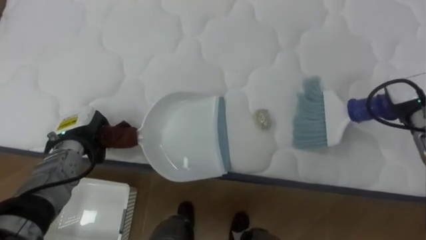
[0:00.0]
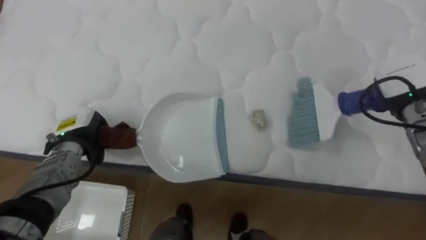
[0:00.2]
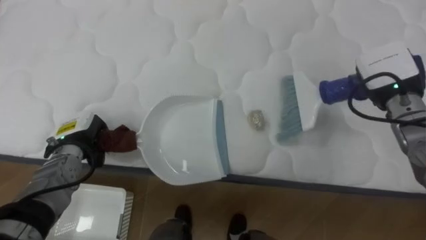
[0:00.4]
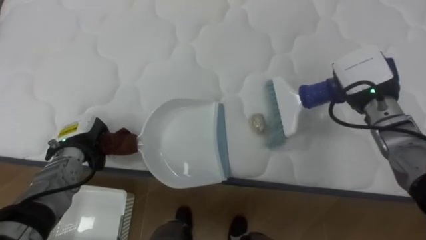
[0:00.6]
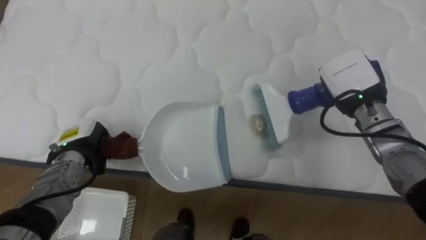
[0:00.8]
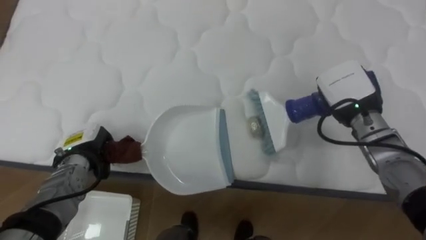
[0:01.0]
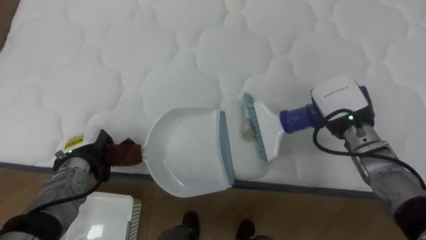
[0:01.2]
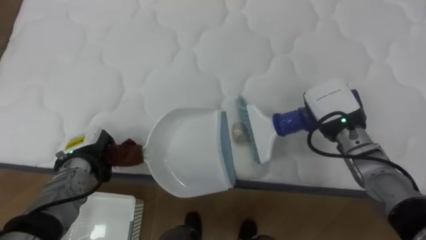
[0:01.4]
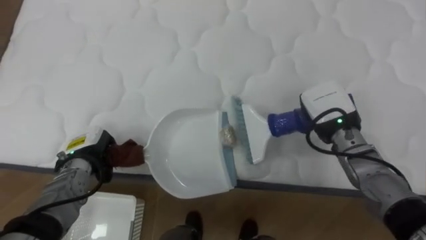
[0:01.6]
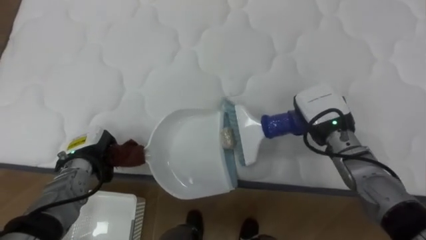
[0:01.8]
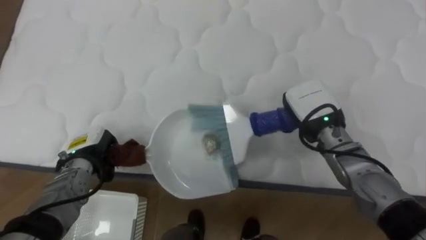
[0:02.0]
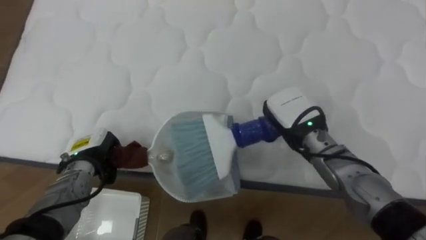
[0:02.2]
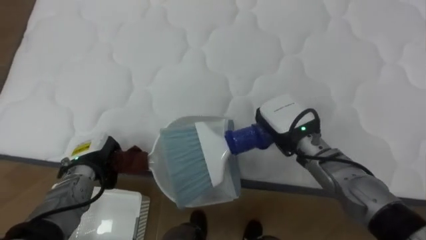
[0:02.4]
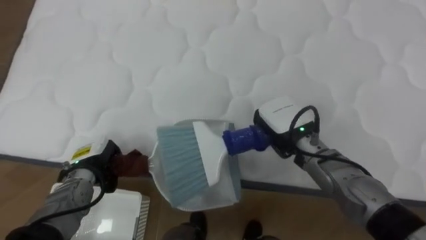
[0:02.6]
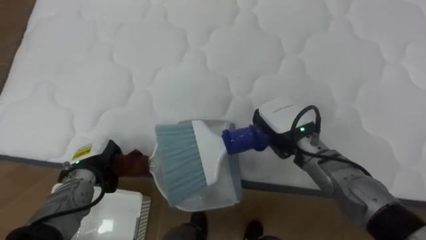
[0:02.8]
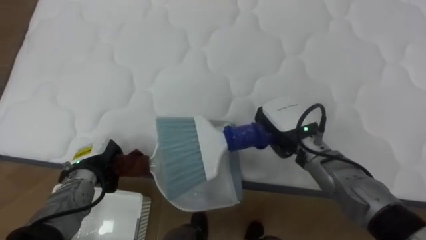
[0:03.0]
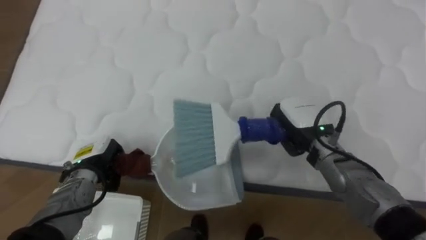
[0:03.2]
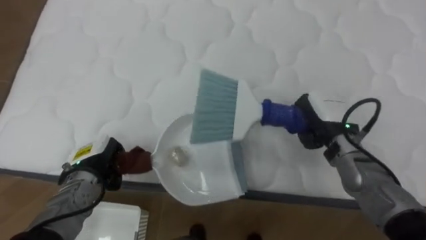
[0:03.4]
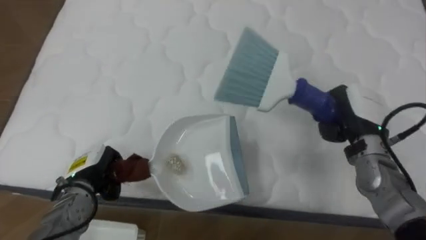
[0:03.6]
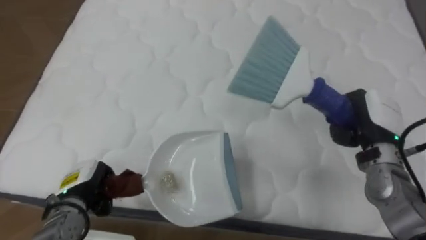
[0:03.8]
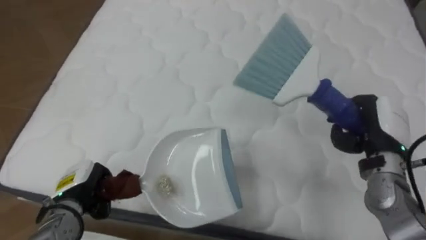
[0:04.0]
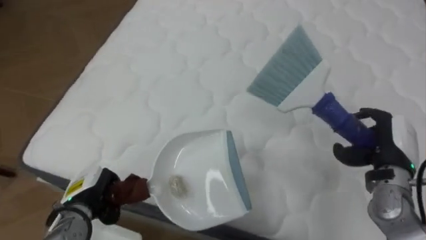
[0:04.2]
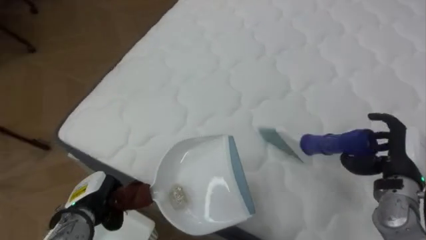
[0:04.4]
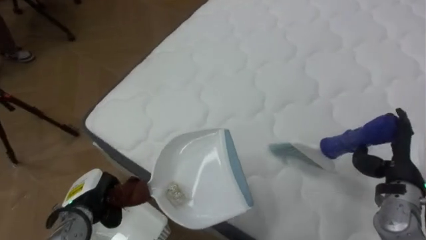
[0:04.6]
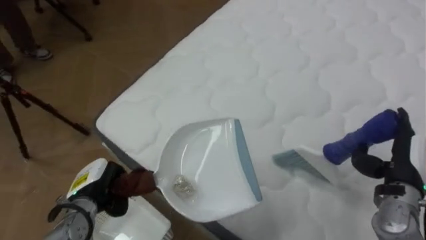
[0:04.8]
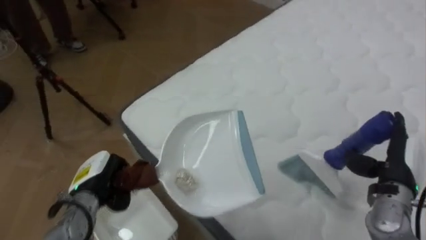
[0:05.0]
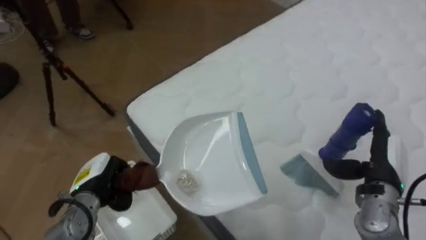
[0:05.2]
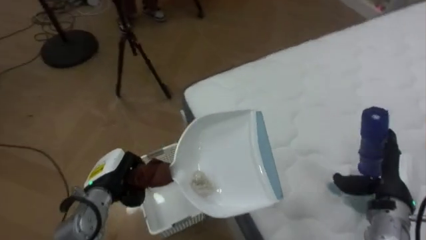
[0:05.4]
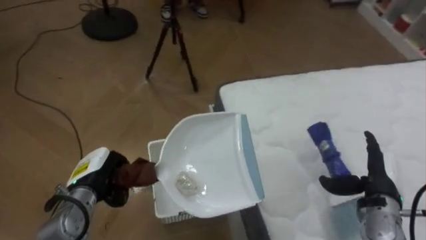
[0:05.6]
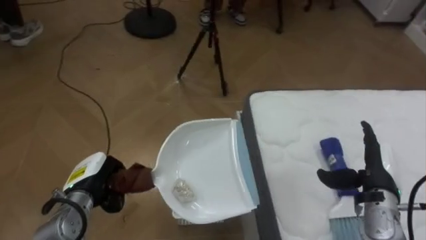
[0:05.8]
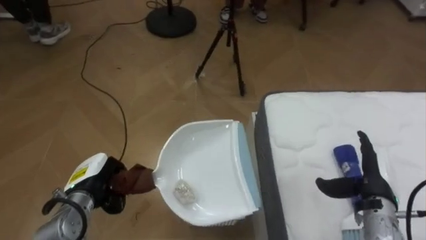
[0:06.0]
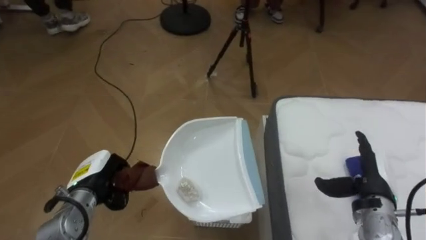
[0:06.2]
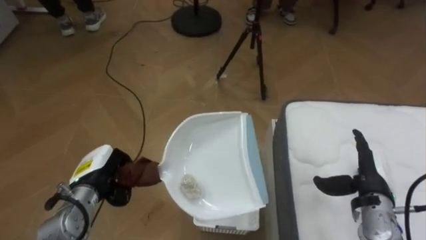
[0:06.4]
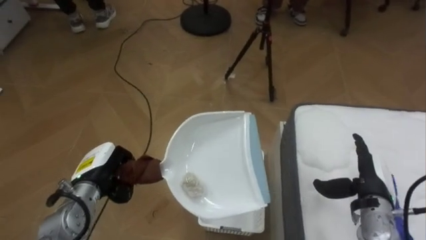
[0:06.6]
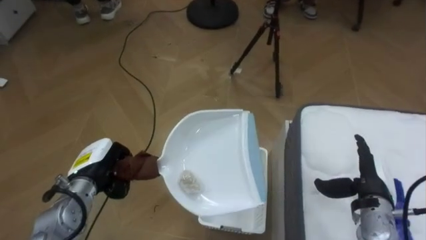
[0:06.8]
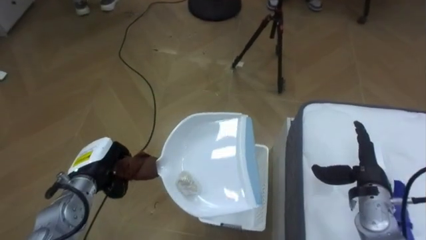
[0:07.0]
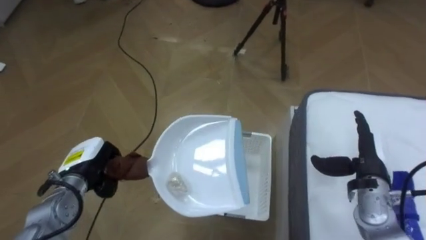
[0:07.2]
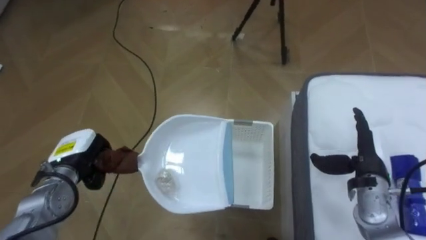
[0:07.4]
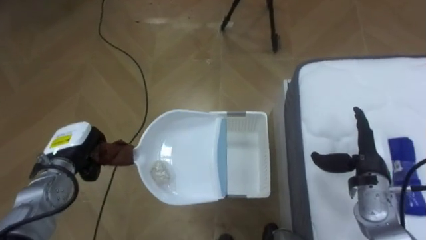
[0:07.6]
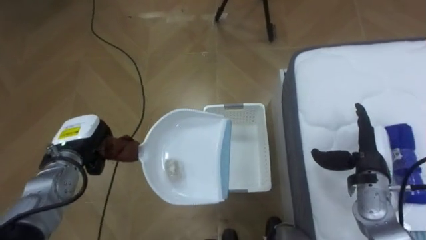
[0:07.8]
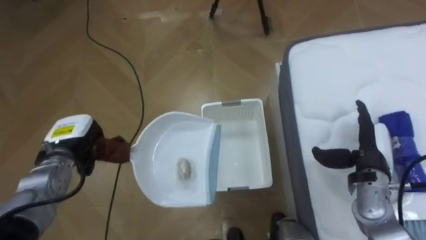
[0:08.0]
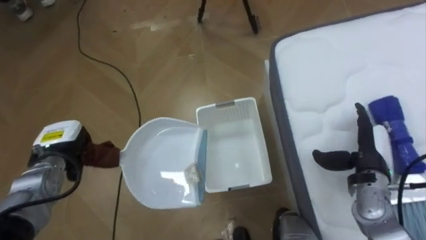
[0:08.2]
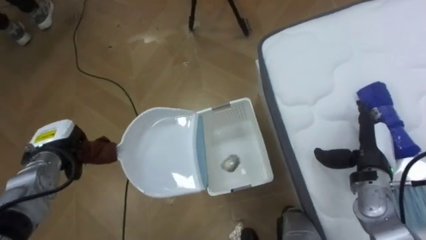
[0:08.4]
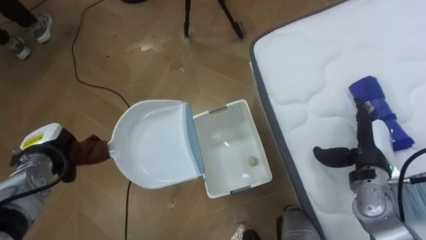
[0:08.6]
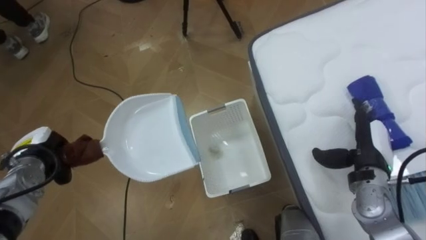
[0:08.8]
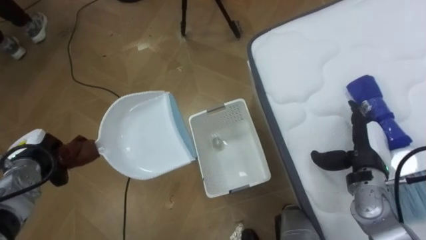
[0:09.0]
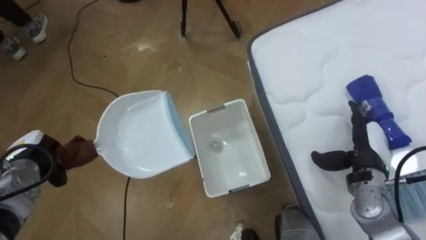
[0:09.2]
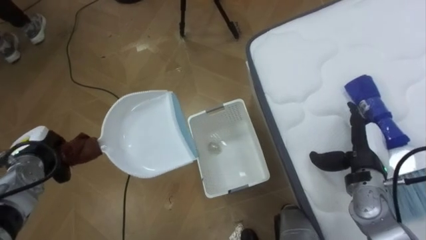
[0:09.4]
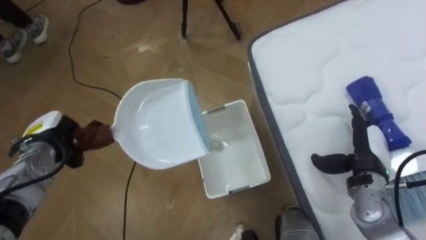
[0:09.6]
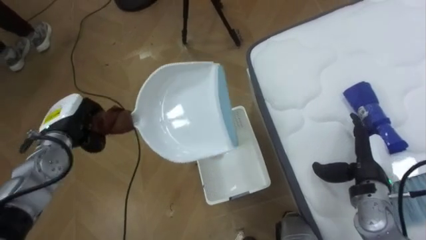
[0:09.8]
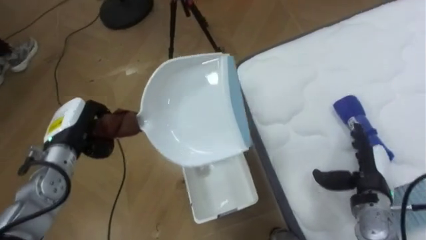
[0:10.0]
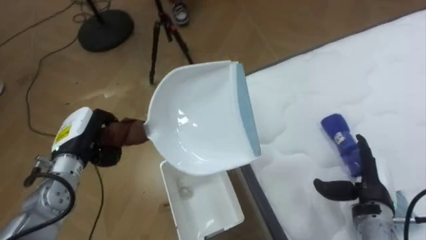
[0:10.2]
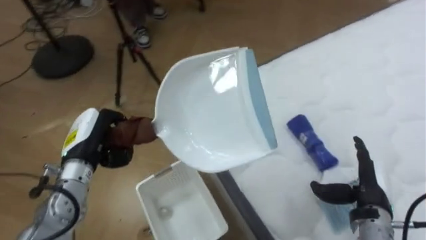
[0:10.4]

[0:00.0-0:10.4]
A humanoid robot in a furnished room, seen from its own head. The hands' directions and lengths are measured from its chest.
Task of the whole recording: Pick up the brush on your right and the dustpan on your left. Use the brush to sweep the crumpled paper on the bed into the dustpan, then turn left and empty it into the basket.
0:00.0 to 0:01.4: The right hand shifts some 15 cm to the left.
0:01.4 to 0:03.0: The right hand moves to the left, roughly 10 cm.
0:03.0 to 0:04.4: The robot's body swings approximately 25 degrees to its left. The right hand goes about 20 cm to the right, and opens up. Meanwhile the left hand goes roughly 10 cm backward.
0:04.4 to 0:06.0: The robot rotates some 60 degrees to its left. The right hand changes place by about 5 cm.
0:06.0 to 0:07.4: The left hand changes place by roughly 5 cm.
0:07.4 to 0:09.0: The left hand heads to the left, covering about 10 cm.
0:09.0 to 0:10.4: The robot turns to its right by approximately 25 degrees. The right hand travels backward by some 5 cm, while the left hand moves to the right and upward, some 15 cm.

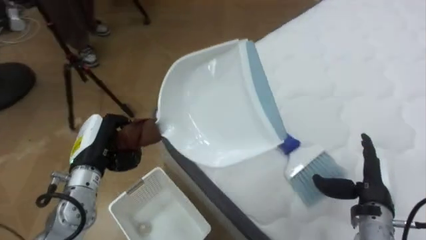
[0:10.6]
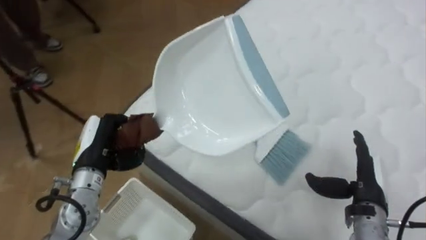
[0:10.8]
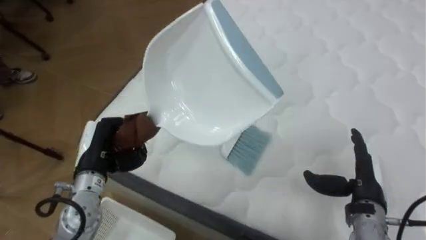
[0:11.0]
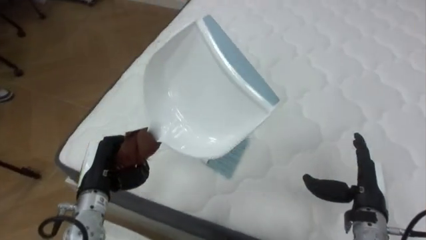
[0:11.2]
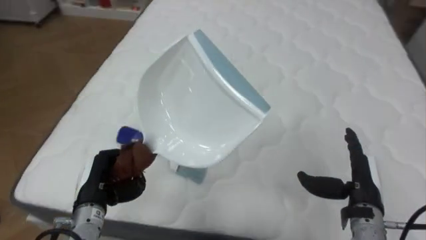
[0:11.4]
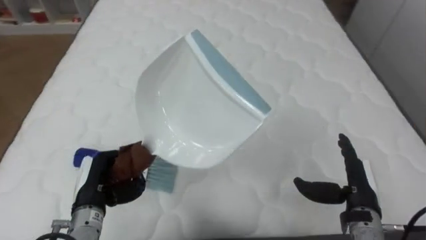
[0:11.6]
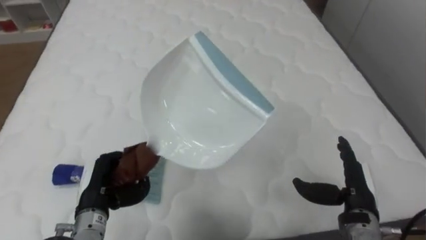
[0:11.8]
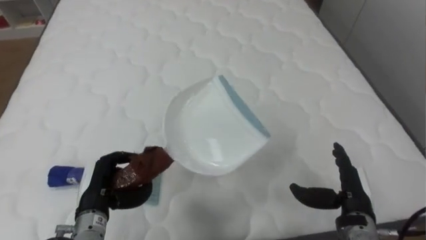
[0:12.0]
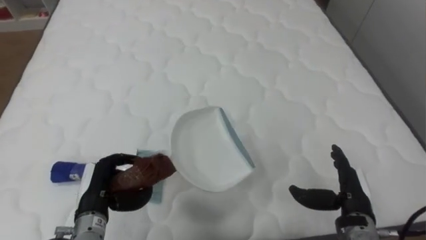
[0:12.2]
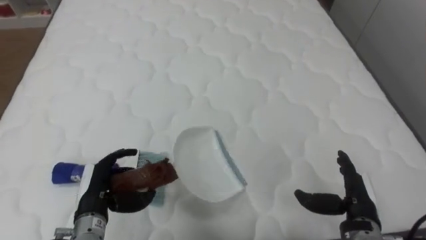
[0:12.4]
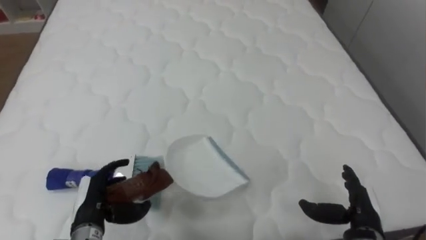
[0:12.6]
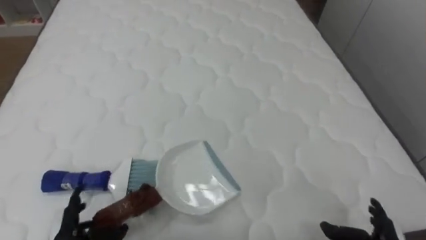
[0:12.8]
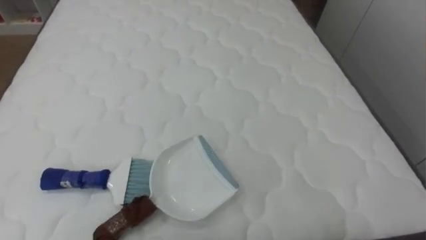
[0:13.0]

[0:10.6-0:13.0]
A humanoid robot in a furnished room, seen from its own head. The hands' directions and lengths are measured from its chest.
Task of the whole recording: Pick up the brush on your right and the dustpan on your left. Use the brush to sweep the crumpled paper on the bed into the dustpan, then turn left and empty it into the basket.
0:10.6 to 0:11.8: The robot turns to its right by about 55 degrees. The left hand goes approximately 10 cm backward and downward.

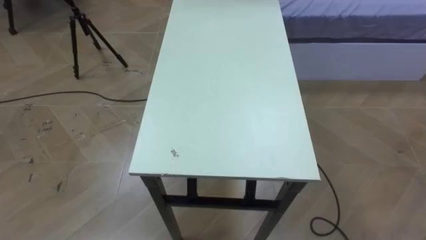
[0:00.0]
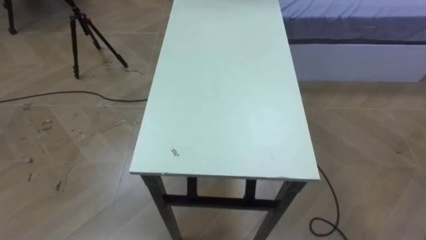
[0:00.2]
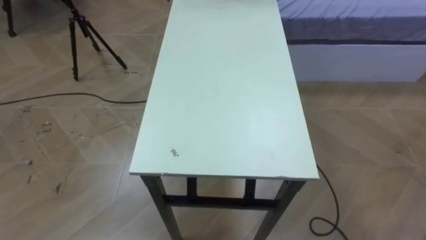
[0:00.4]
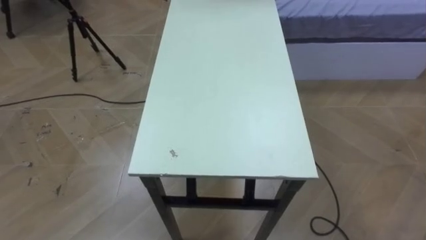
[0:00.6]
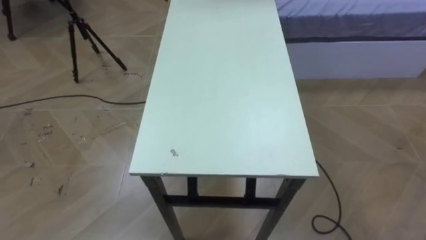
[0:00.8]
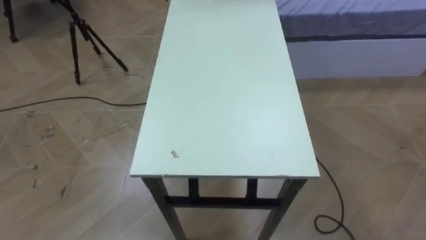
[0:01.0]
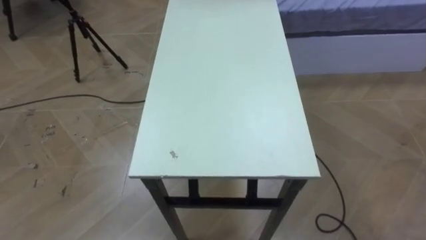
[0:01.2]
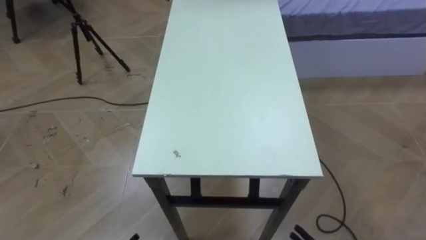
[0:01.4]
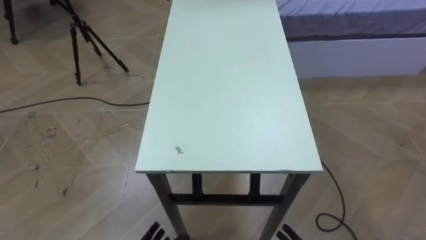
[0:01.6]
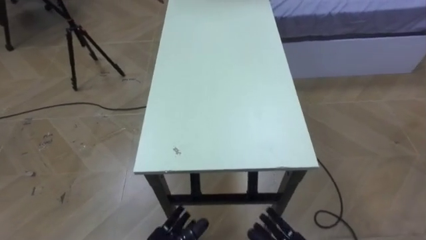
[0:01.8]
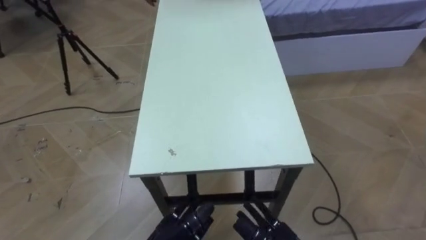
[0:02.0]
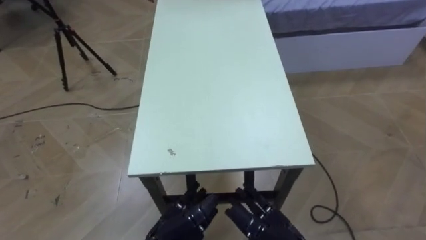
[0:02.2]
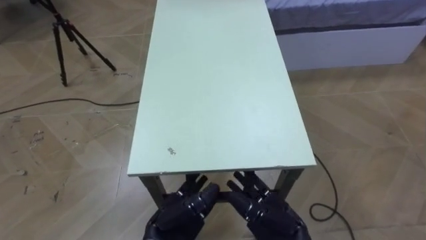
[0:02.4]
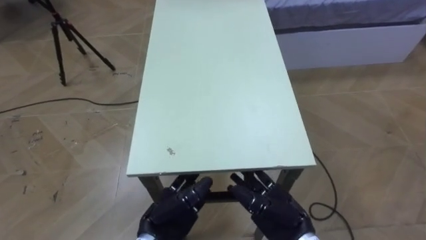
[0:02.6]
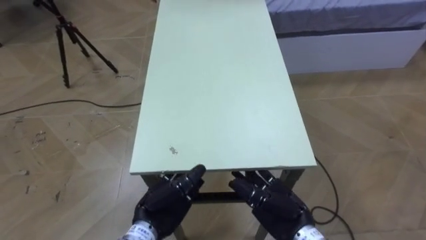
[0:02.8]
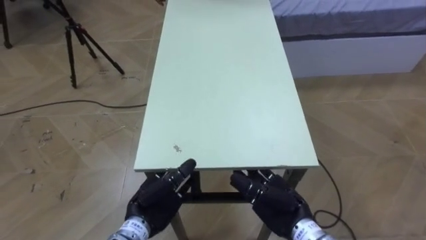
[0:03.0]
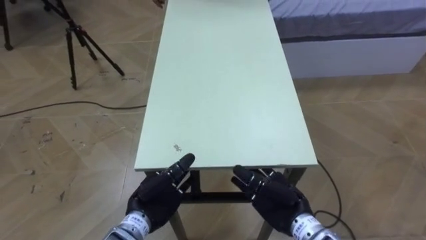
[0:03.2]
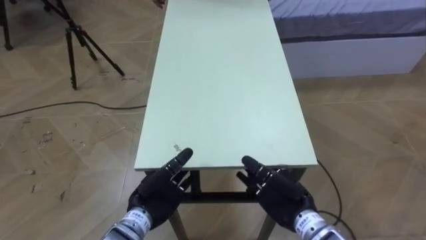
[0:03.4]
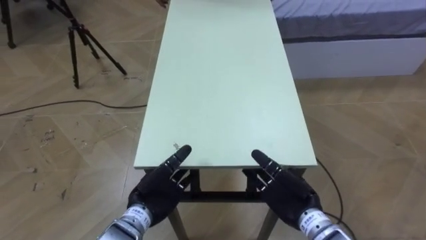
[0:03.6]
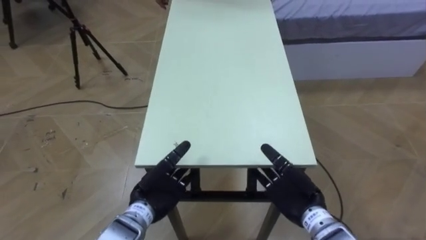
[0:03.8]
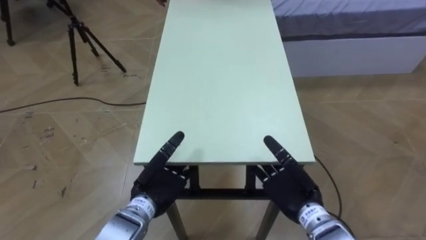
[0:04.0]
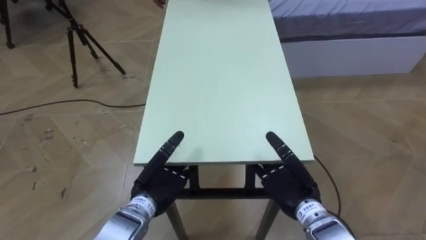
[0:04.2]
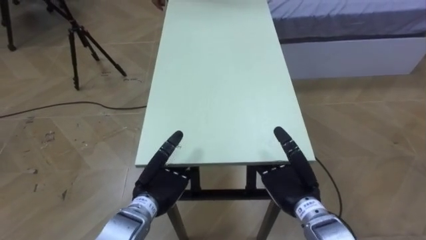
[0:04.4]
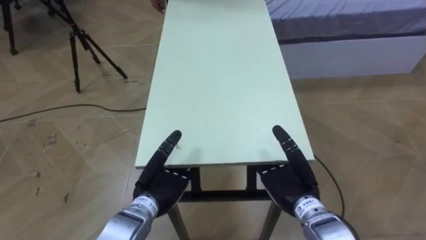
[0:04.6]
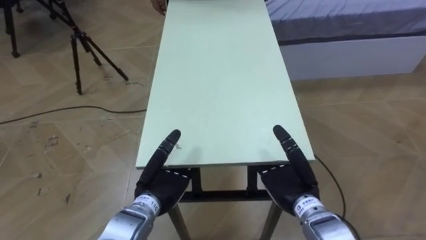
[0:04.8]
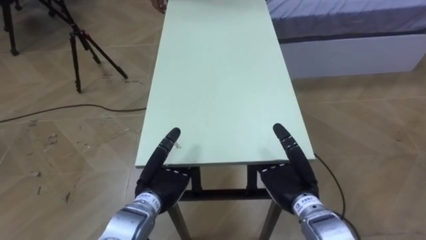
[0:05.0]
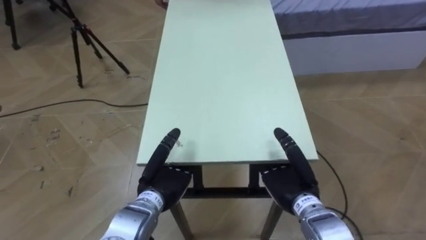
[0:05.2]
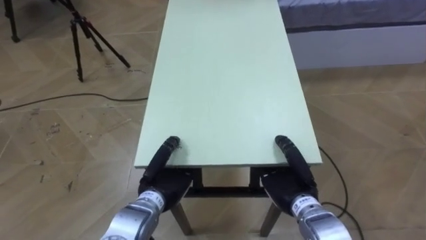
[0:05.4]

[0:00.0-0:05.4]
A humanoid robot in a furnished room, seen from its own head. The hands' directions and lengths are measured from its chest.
Task of the whole recording: Move the table to the back left with someone.
0:04.0 to 0:05.4: The left hand closes up. Meanwhile the right hand closes its fingers.
